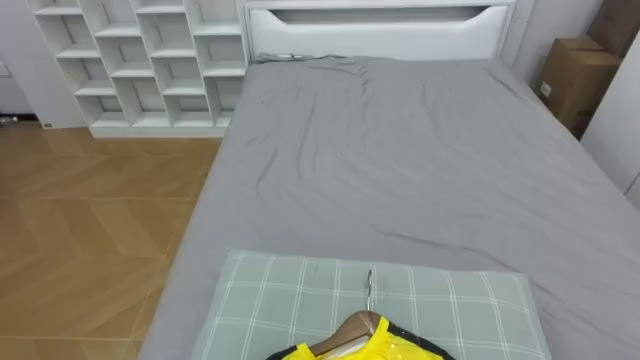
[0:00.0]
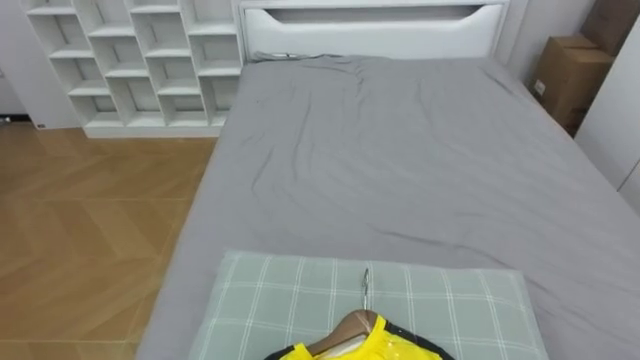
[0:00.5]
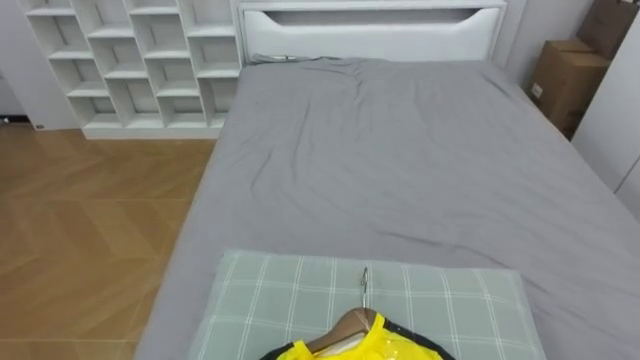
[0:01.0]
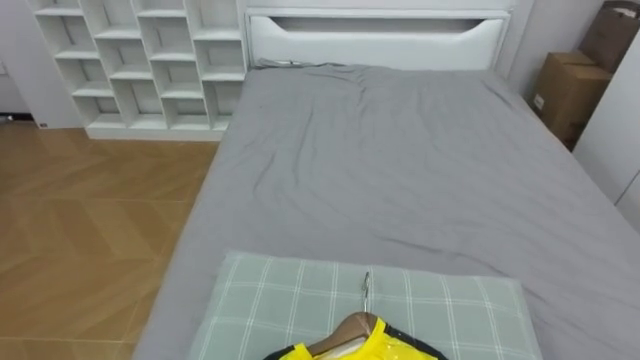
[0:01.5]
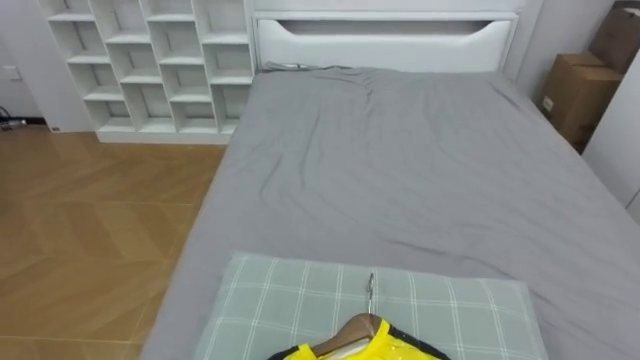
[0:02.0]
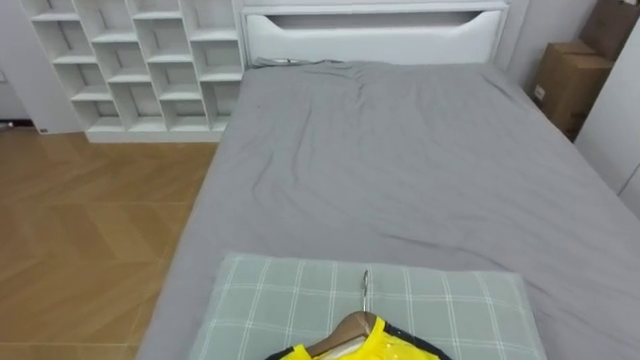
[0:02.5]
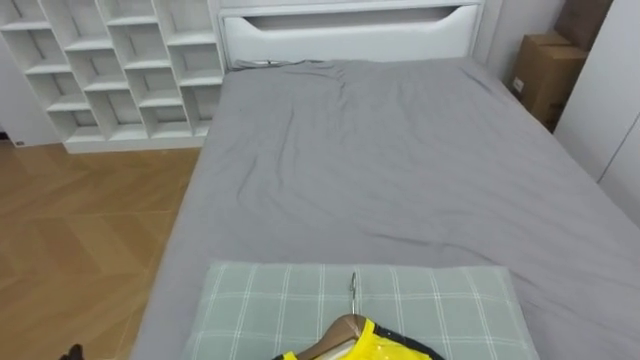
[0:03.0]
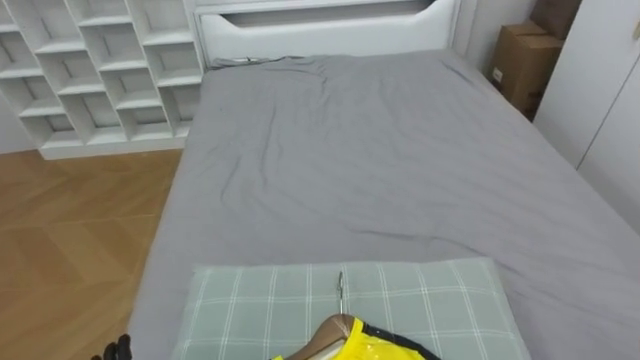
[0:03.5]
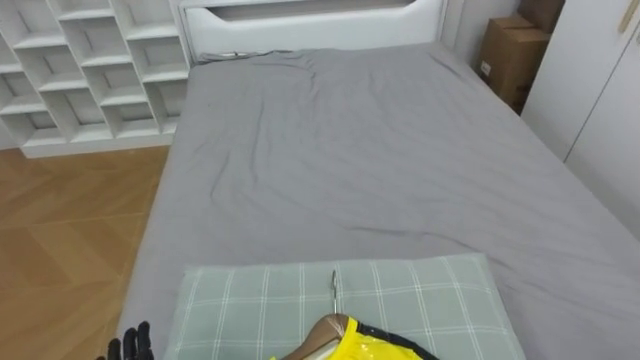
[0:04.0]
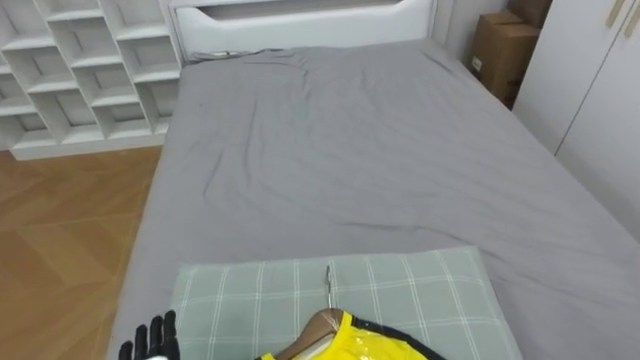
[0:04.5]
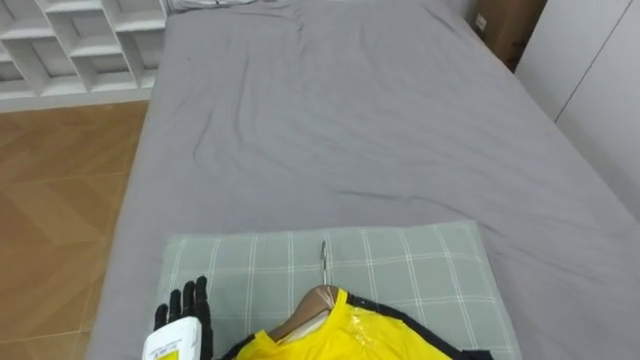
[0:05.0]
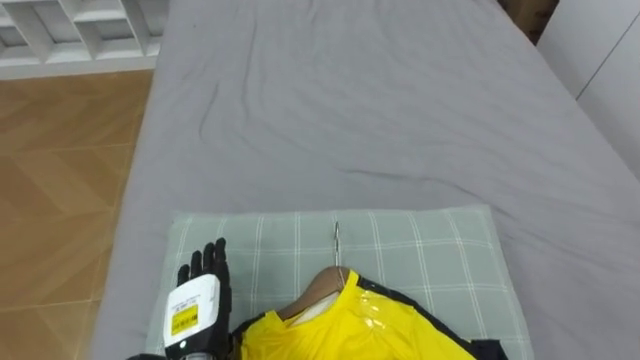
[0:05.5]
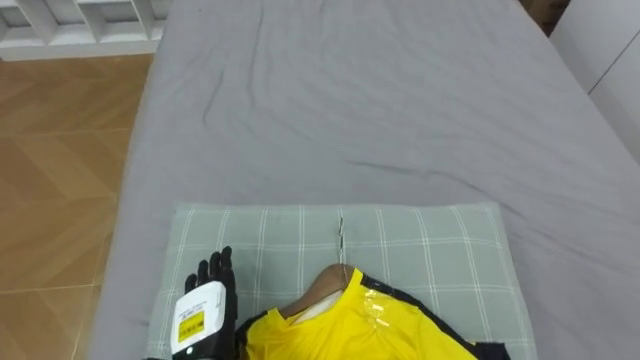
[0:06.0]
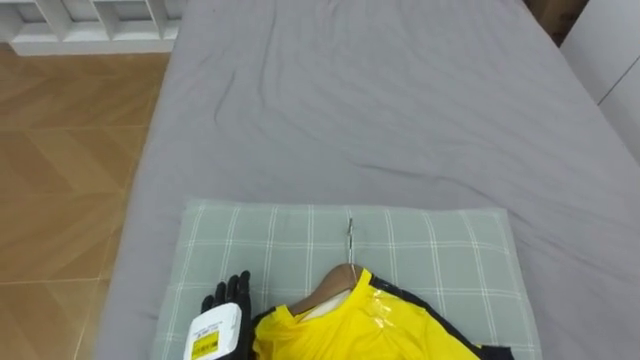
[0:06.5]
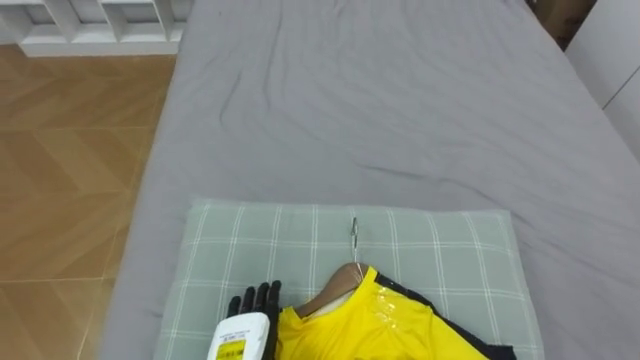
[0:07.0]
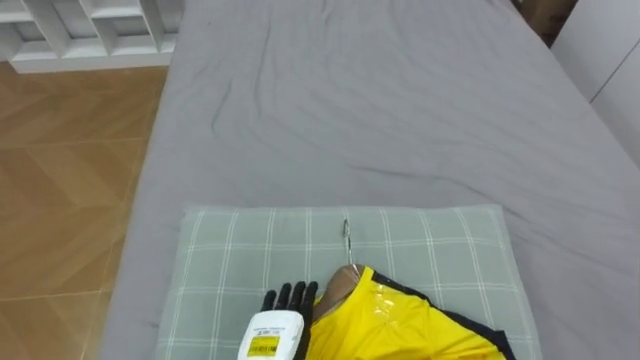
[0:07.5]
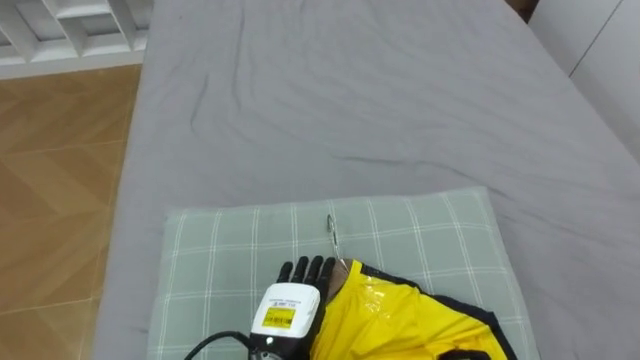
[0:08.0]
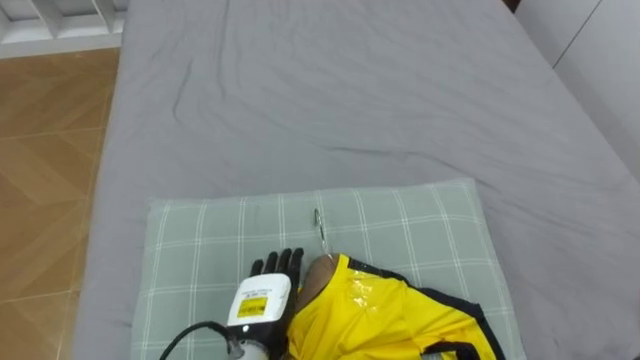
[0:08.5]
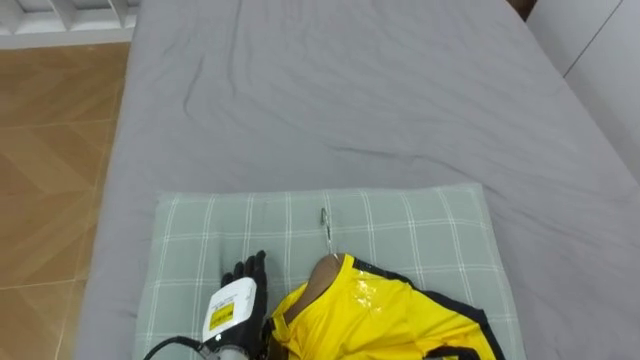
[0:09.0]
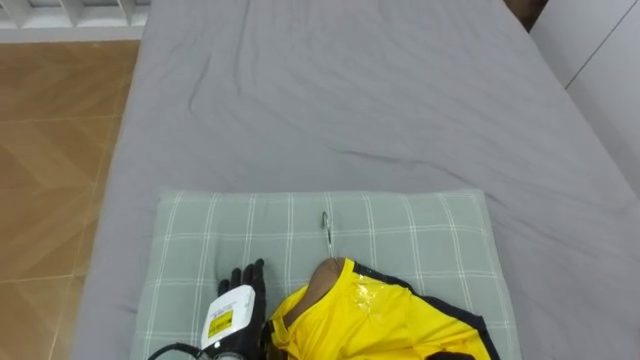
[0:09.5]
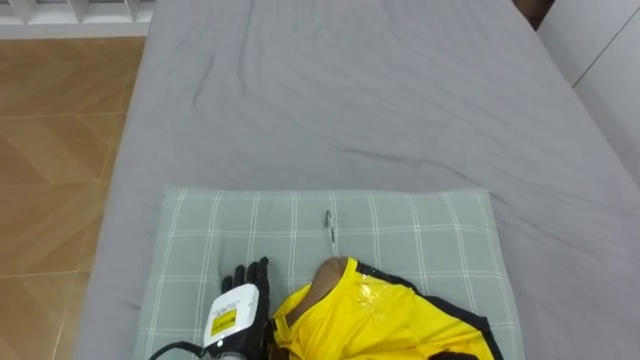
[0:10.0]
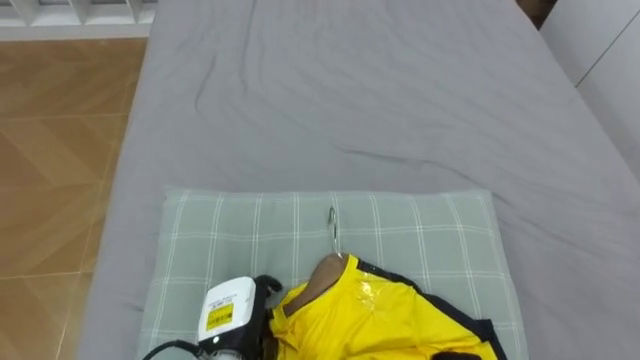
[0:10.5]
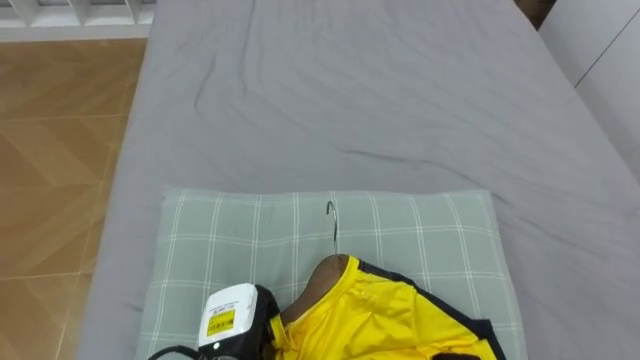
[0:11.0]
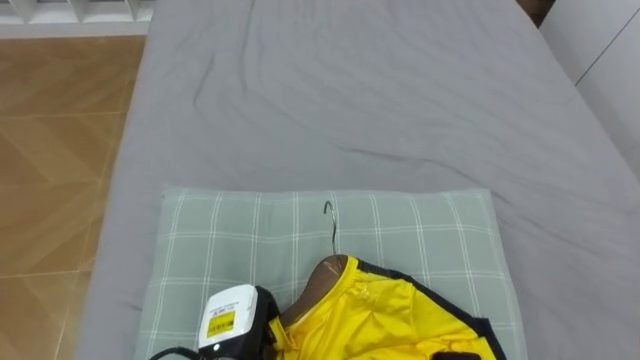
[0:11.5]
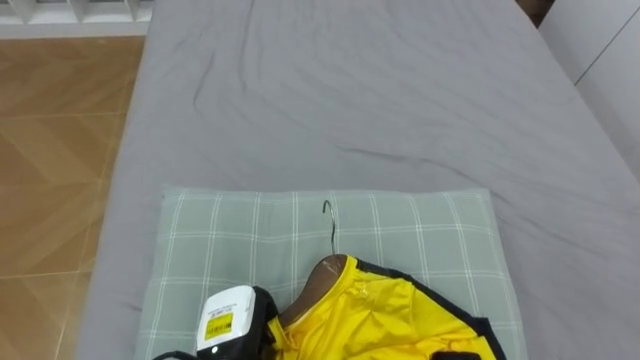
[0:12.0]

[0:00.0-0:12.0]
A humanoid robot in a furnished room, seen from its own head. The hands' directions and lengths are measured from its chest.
Task of the whole recording: Pick up the yellow shirt on the bed and hang it on the clothes rack on the right.
0:08.0 to 0:10.0: The left hand goes about 5 cm to the left.
0:10.0 to 0:12.0: The left hand closes its fingers.

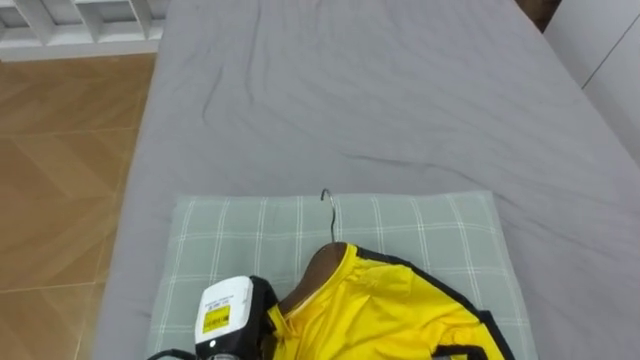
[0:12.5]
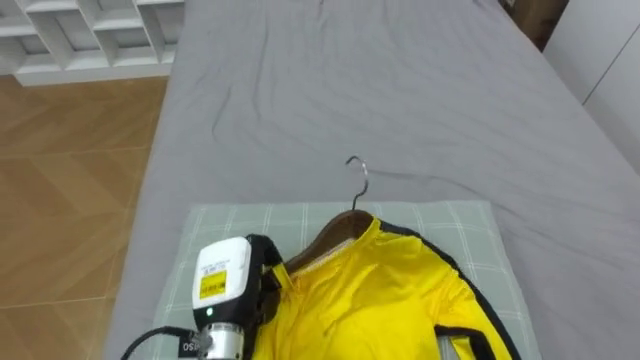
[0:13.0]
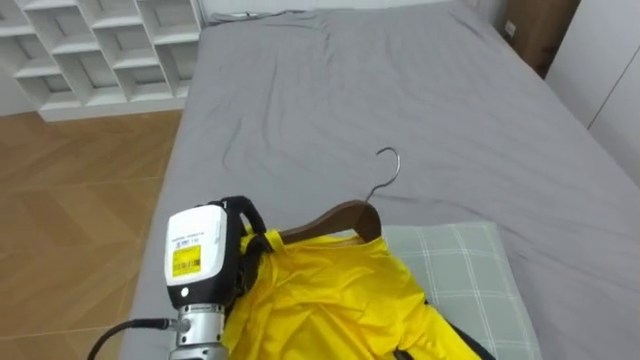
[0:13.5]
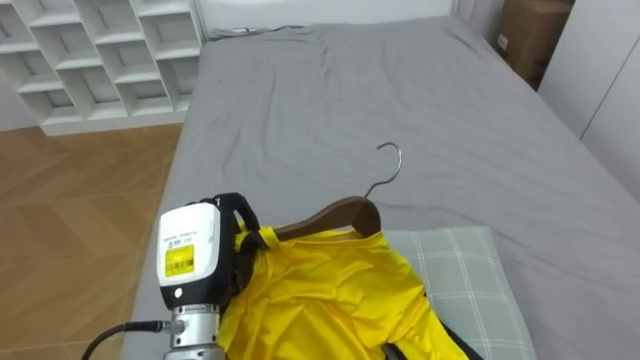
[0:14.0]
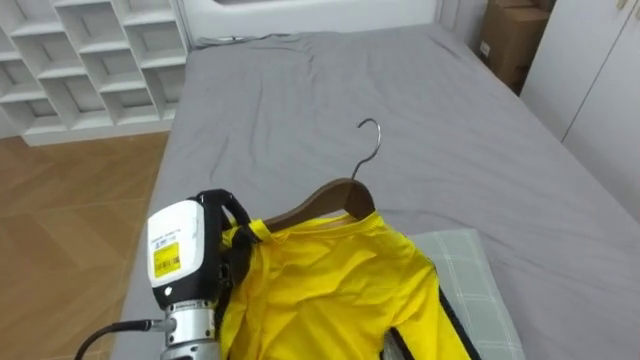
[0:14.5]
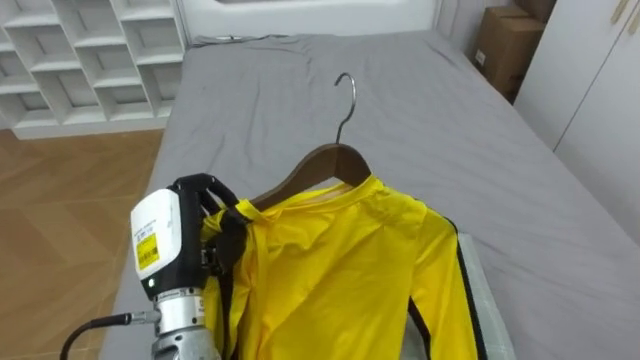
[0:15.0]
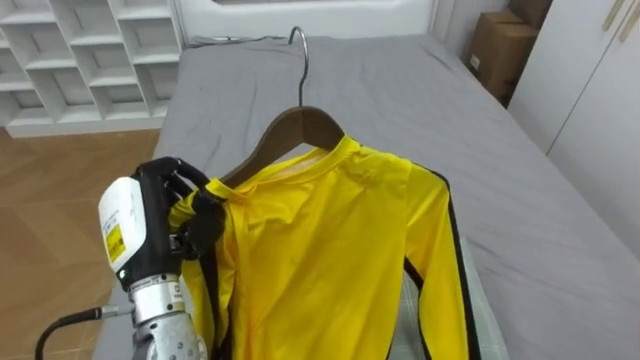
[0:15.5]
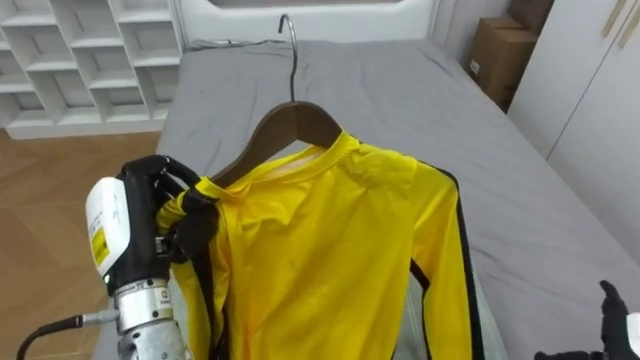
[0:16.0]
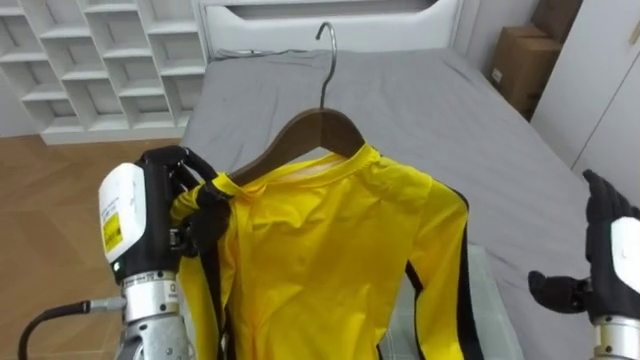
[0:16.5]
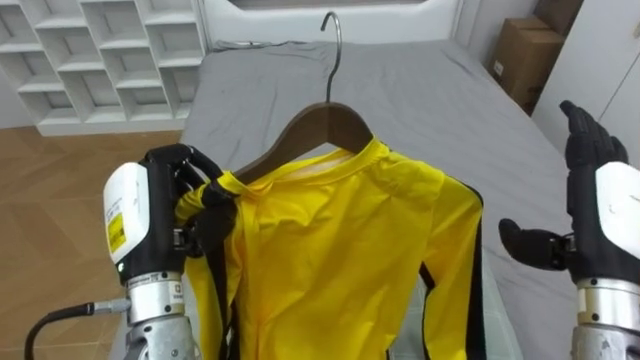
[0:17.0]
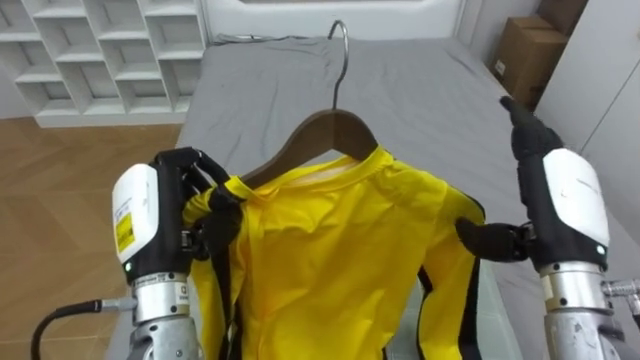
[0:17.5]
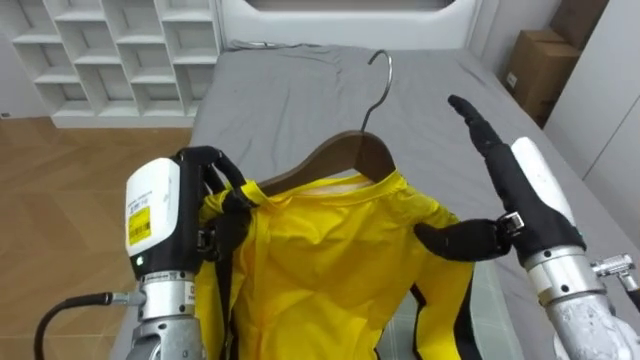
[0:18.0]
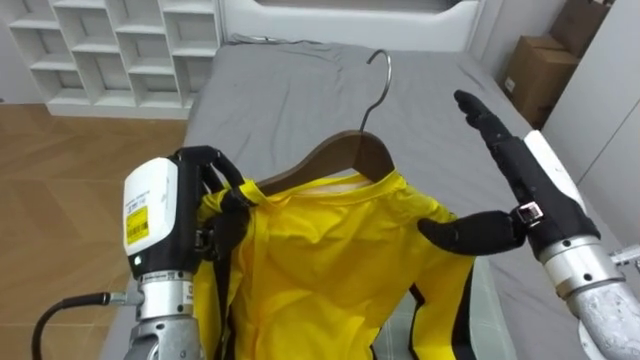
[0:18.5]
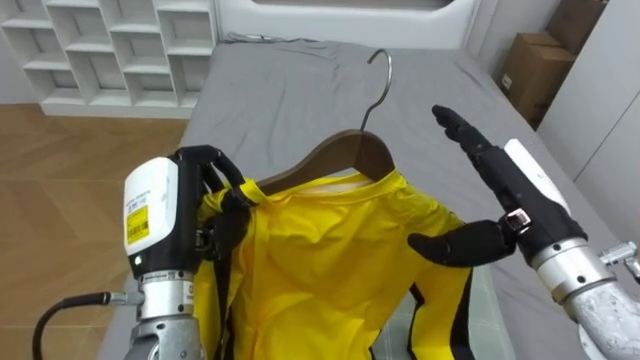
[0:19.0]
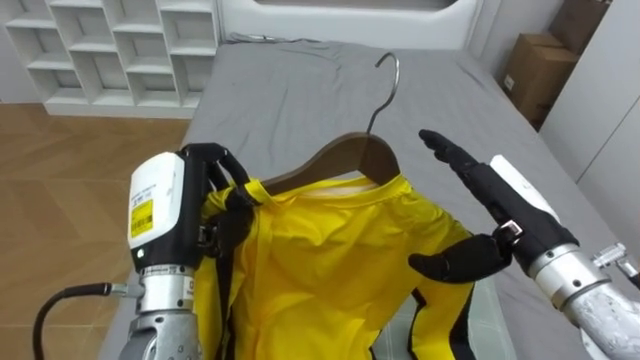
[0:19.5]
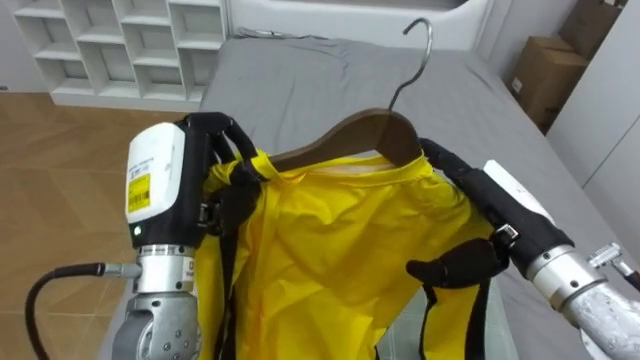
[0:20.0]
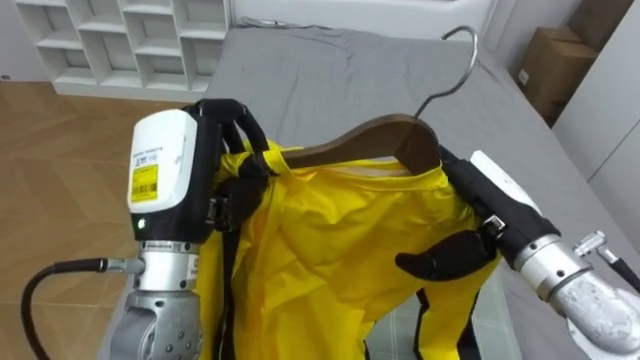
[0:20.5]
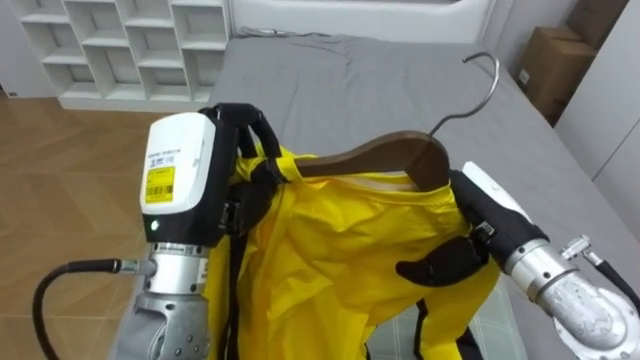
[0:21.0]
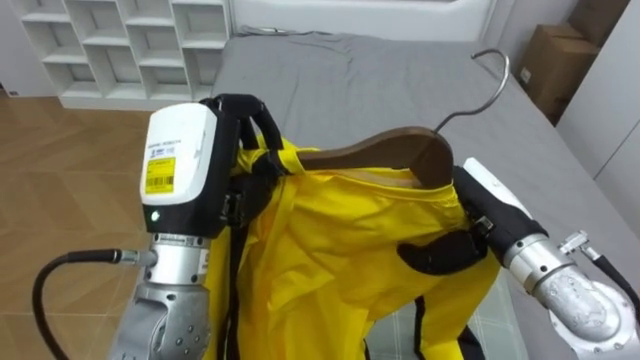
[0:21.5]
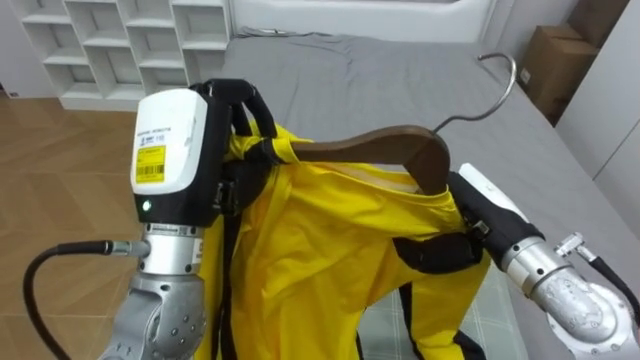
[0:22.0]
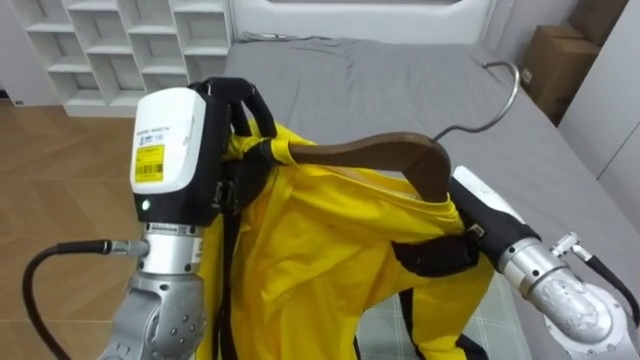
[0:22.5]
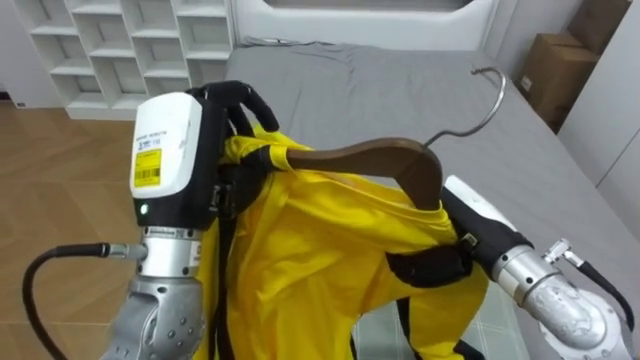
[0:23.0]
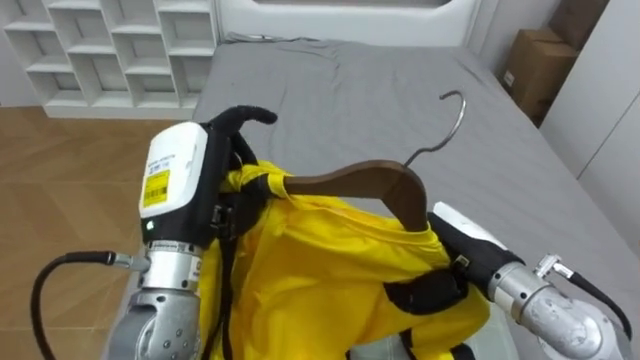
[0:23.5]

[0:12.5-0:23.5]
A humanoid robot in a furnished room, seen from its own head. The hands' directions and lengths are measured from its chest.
Task of the whole recording: Pick up the yellow shirt on the bed and hang it on the clothes rack on the right.
0:12.5 to 0:14.5: The left hand is displaced upward by about 15 cm.
0:14.5 to 0:16.0: The left hand moves about 5 cm.
0:21.5 to 0:23.5: The left hand opens. The right hand closes.
